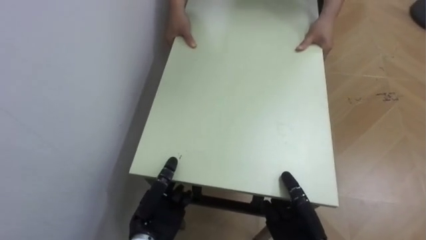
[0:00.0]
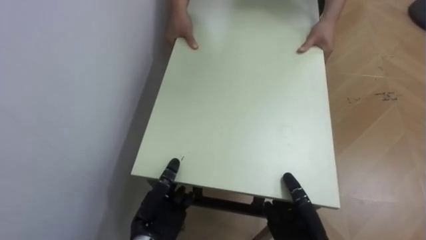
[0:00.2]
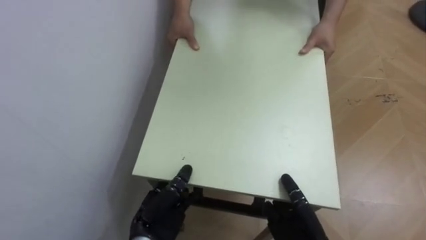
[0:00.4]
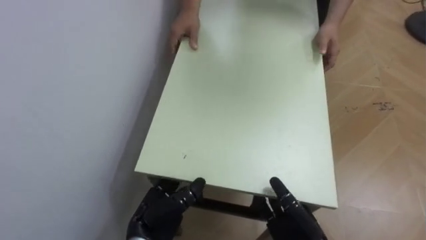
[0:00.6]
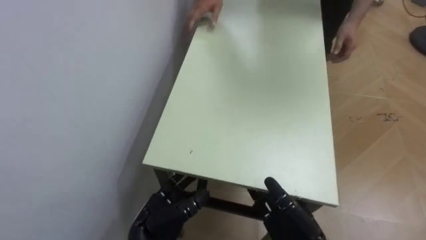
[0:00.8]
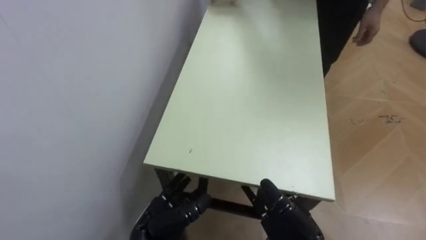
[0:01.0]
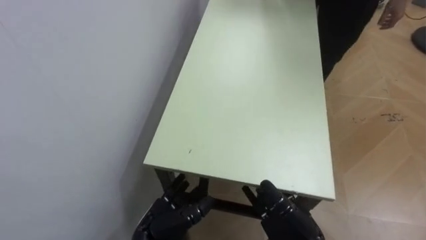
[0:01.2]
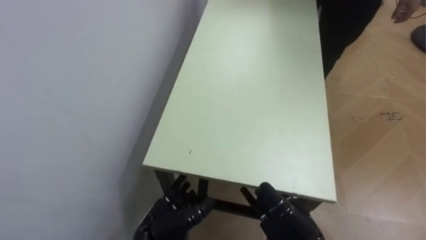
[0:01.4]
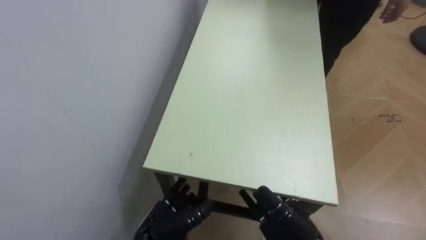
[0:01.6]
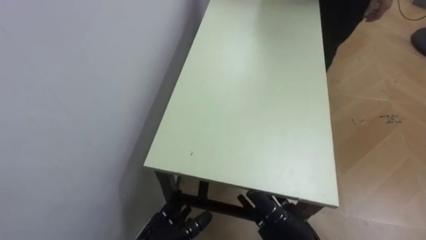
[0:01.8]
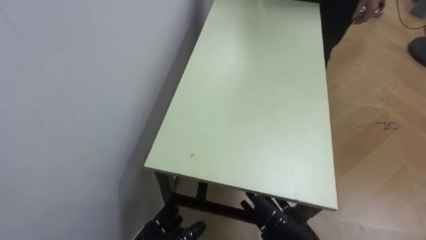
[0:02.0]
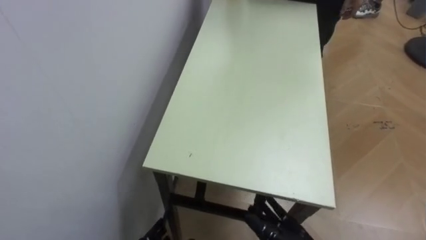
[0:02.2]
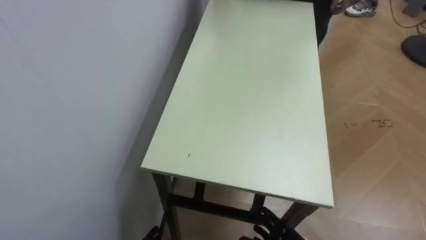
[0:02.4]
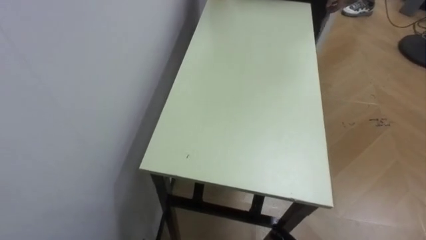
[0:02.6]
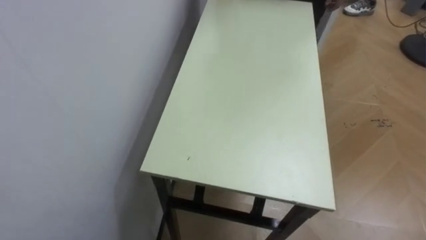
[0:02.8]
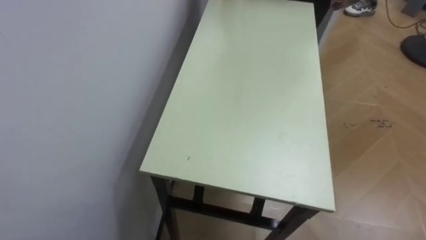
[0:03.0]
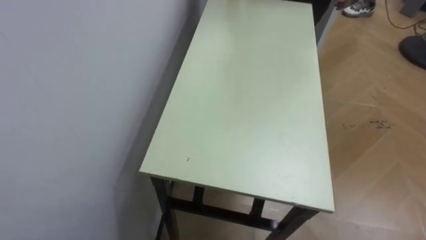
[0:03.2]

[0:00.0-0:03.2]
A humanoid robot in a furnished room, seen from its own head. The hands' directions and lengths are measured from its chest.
Task of the whole recording: Move the table to the back left with someone.
0:00.0 to 0:01.6: The left hand opens. Meanwhile the right hand opens up.

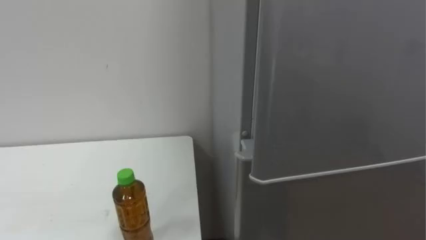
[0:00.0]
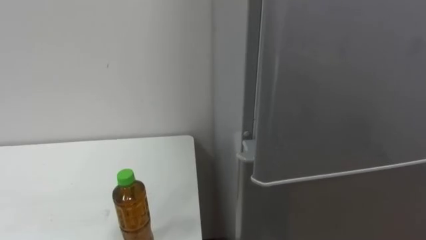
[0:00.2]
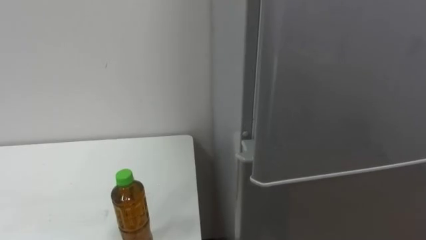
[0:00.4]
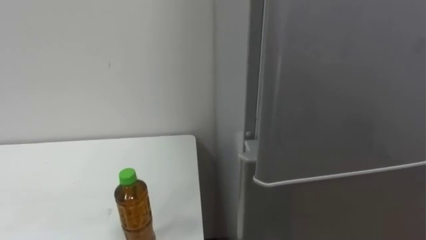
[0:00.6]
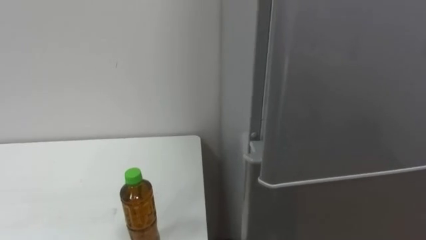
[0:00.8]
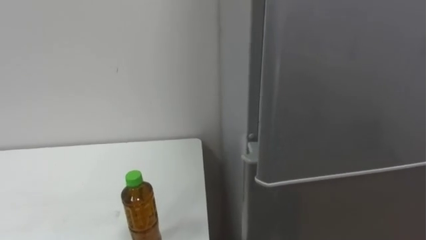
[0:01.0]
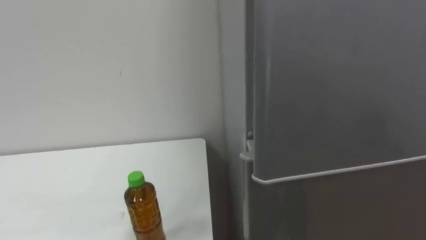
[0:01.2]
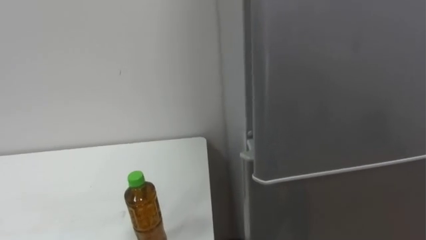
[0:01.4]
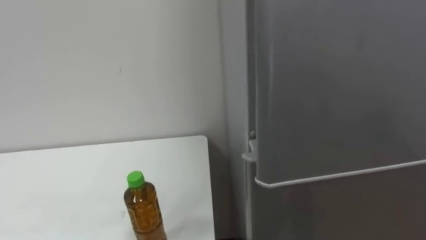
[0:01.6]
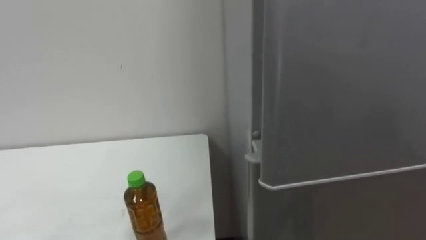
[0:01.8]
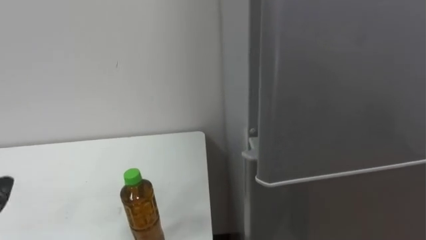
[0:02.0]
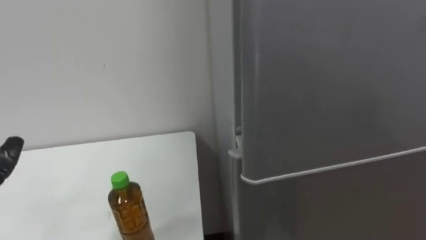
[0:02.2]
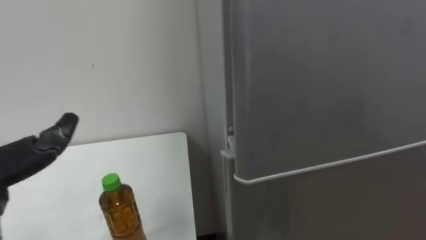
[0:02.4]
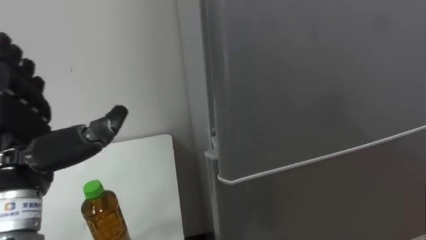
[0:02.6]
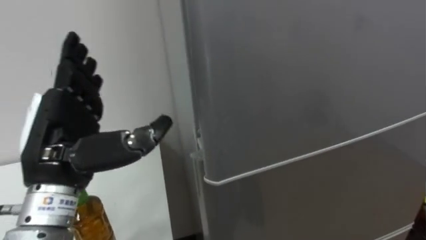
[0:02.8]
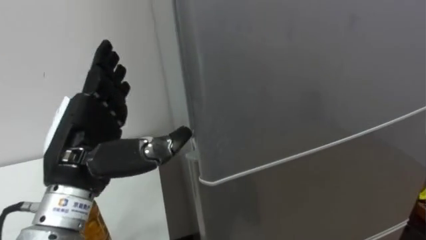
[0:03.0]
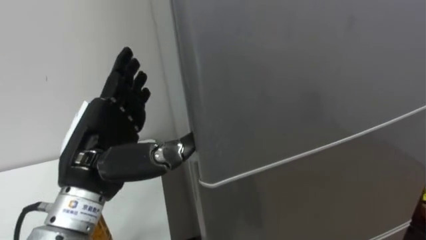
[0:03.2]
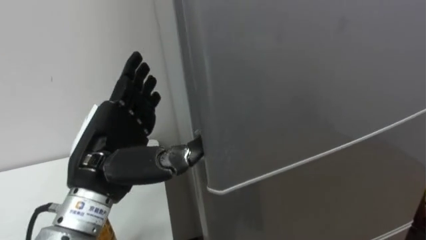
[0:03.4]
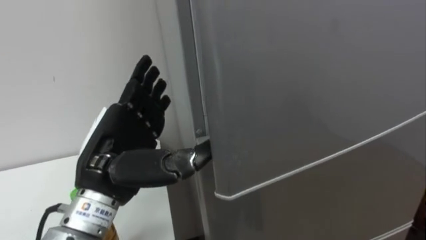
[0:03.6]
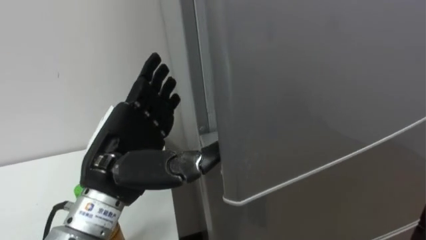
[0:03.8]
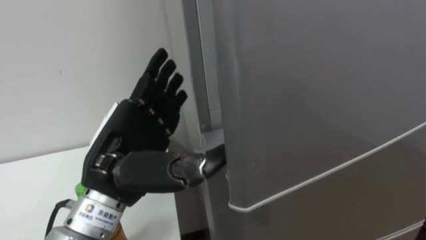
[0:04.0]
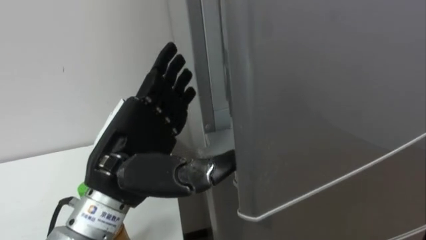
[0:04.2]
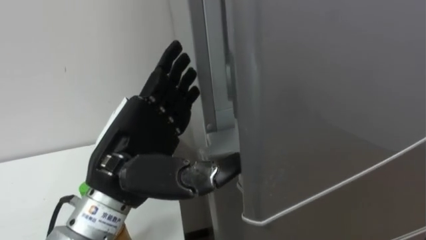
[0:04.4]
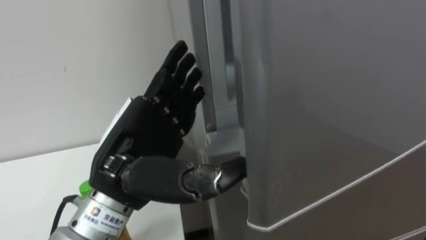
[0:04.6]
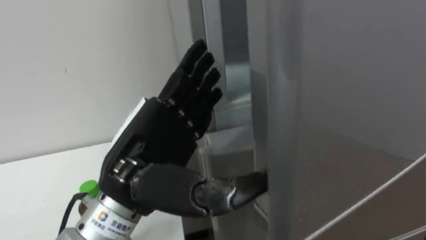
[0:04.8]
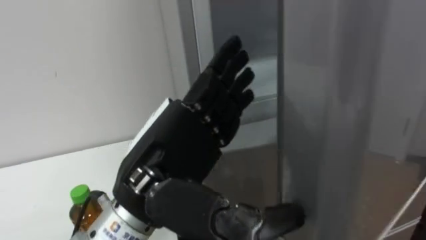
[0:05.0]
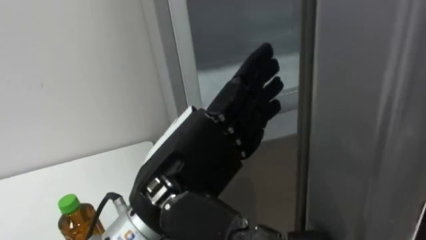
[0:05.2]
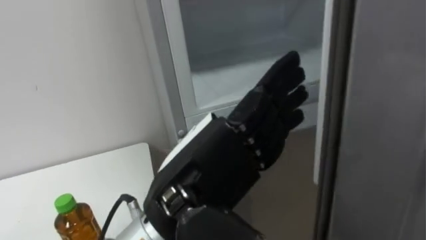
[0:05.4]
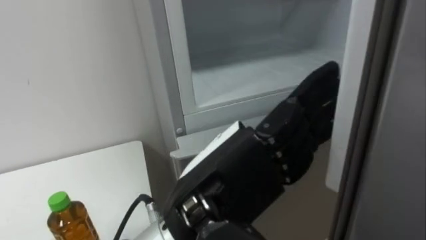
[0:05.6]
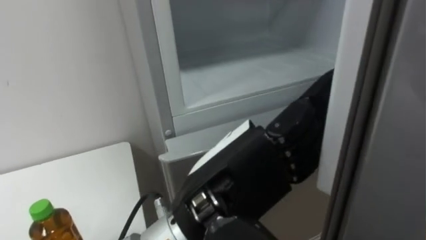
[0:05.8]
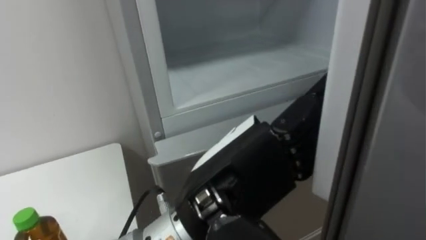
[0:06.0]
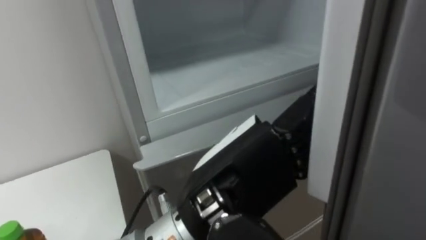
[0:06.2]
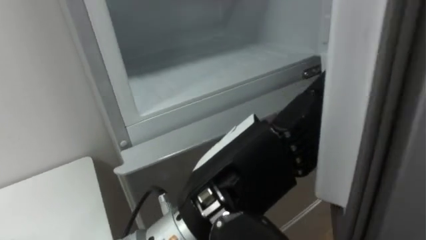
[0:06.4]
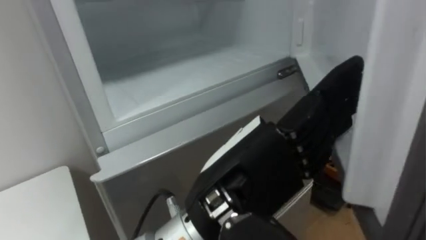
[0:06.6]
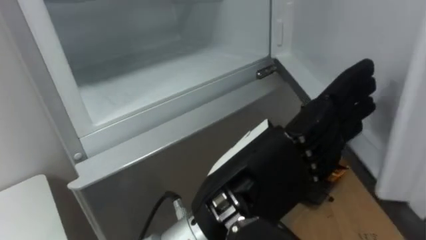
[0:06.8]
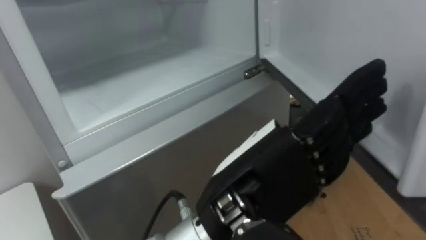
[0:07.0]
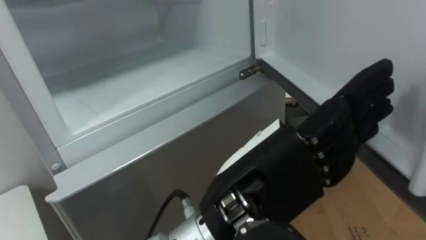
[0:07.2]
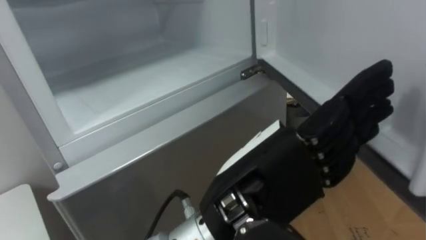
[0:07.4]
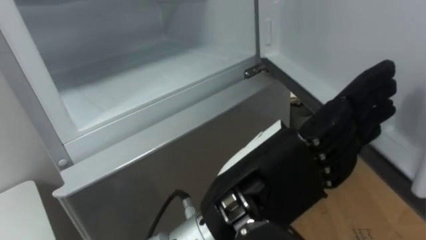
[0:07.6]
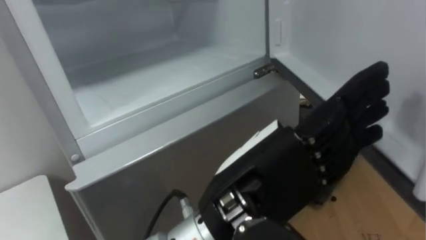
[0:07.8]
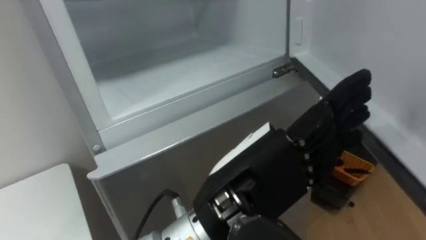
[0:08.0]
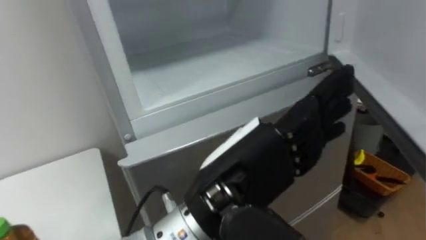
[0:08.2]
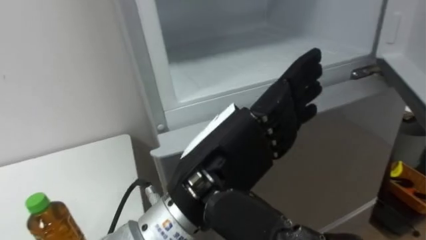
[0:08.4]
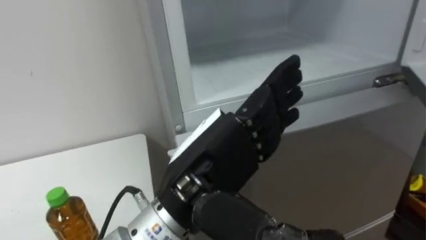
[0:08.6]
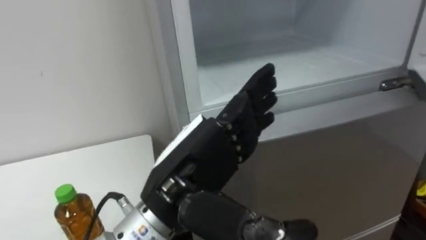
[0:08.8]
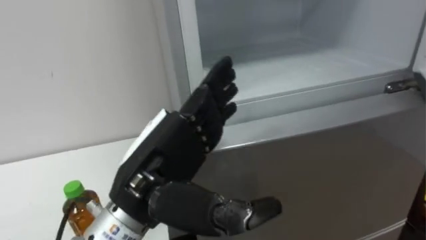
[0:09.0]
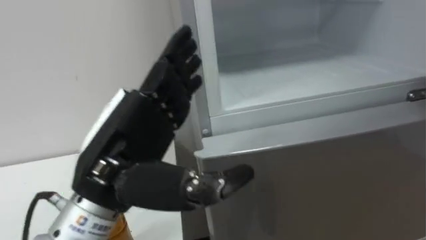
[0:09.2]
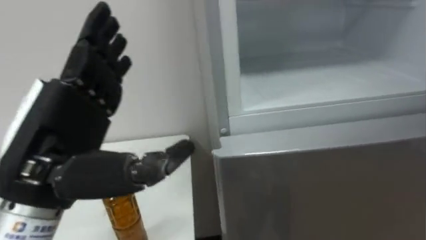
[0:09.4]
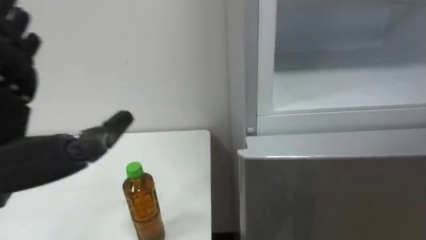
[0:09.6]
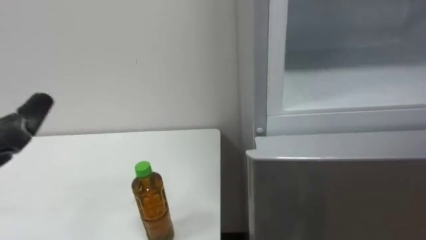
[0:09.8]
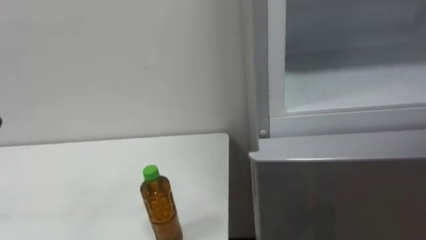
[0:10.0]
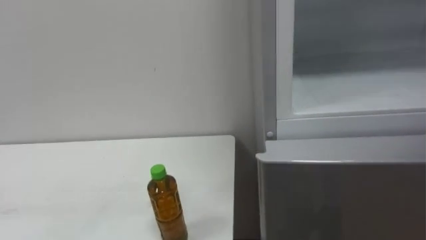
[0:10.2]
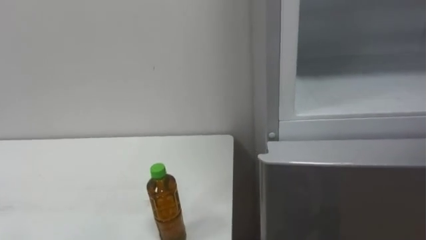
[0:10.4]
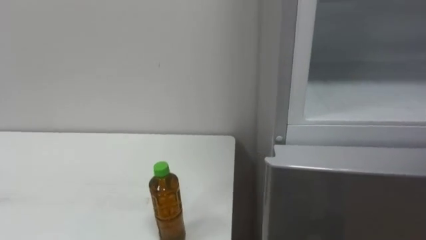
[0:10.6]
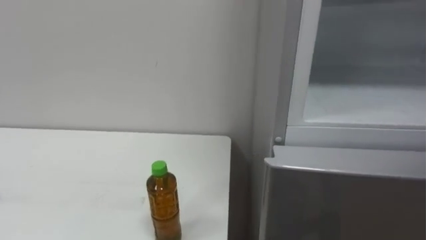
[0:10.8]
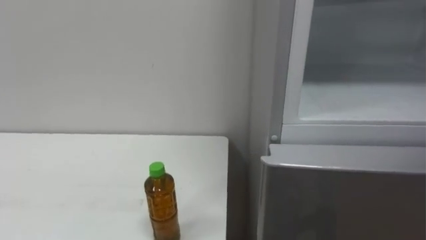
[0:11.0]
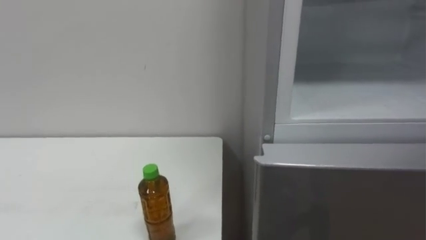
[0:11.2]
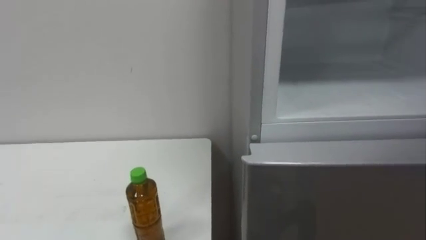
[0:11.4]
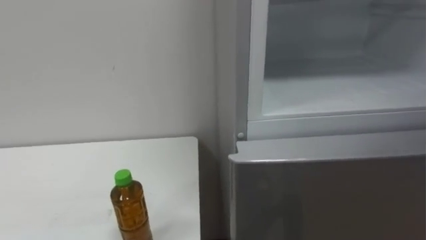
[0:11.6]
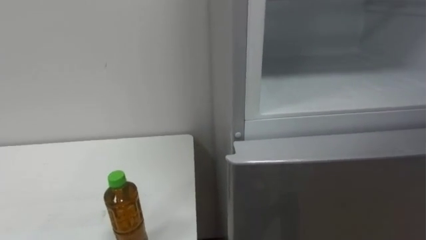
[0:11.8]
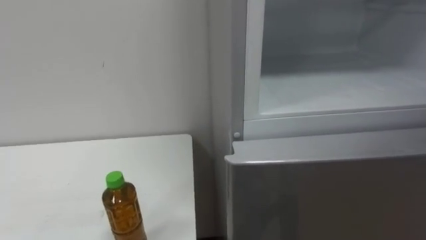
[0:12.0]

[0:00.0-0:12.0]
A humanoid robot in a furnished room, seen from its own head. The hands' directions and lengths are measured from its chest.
Task of the whole recording: Open the upper refrigerator door, put the drink from the table into the refrigerator, and then close the refrigerator door.
0:03.0 to 0:04.4: The left hand goes approximately 5 cm to the right.
0:04.4 to 0:06.0: The left hand moves to the right and backward, about 15 cm.
0:07.6 to 0:09.0: The left hand goes some 10 cm to the left.

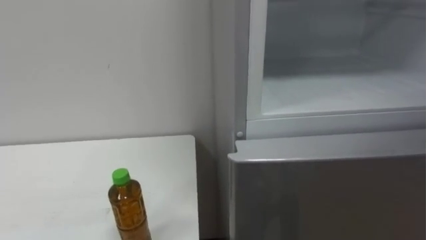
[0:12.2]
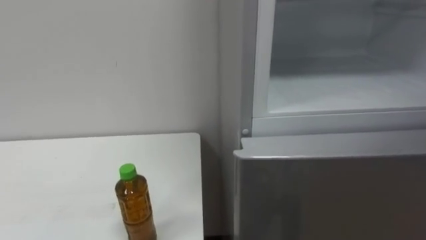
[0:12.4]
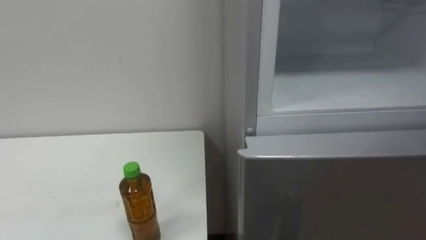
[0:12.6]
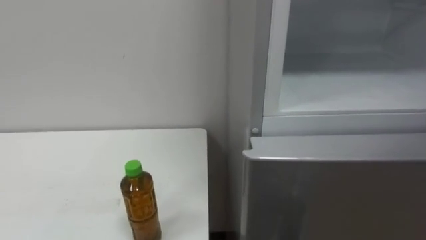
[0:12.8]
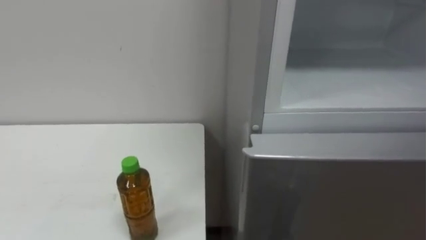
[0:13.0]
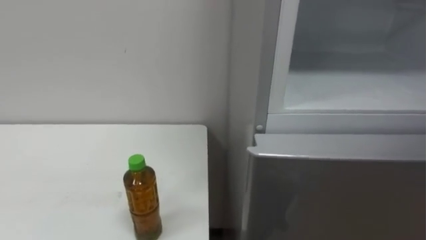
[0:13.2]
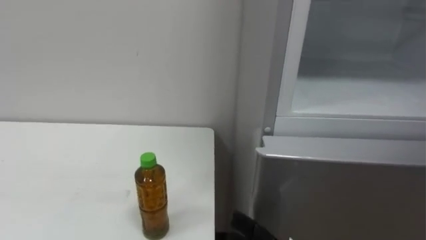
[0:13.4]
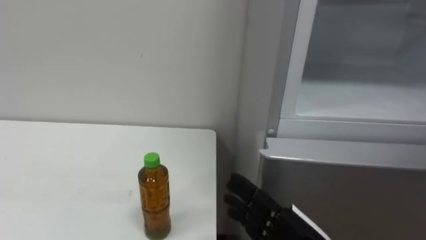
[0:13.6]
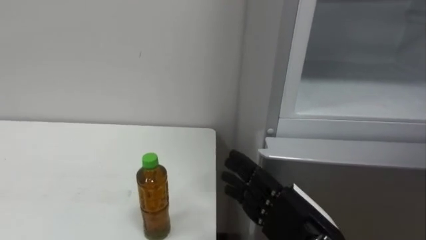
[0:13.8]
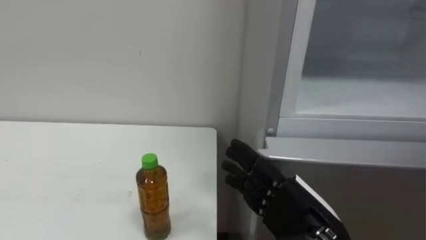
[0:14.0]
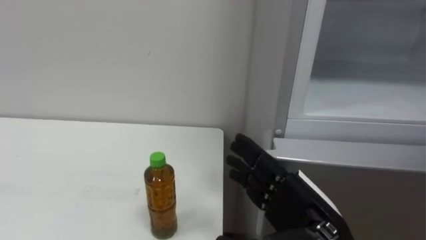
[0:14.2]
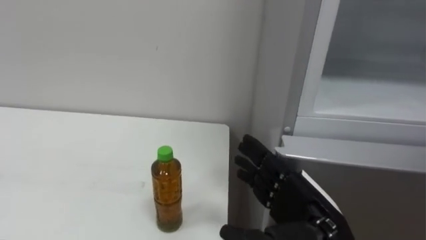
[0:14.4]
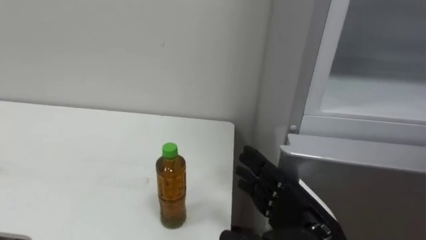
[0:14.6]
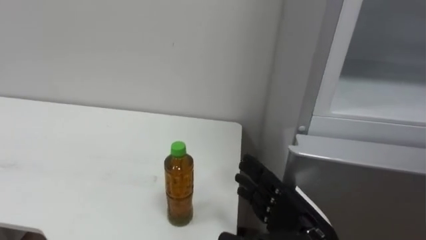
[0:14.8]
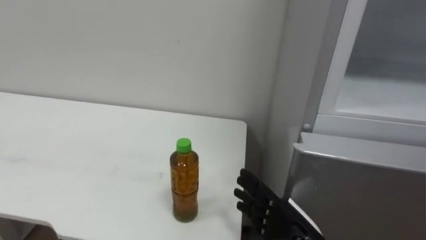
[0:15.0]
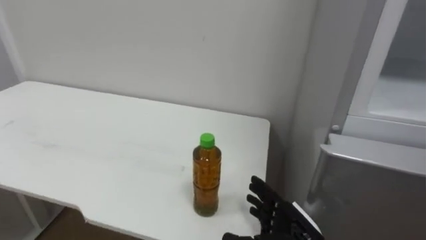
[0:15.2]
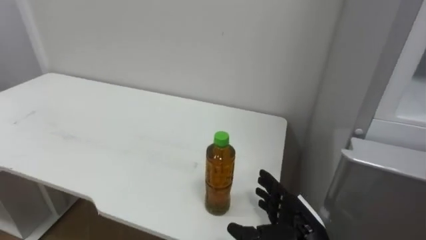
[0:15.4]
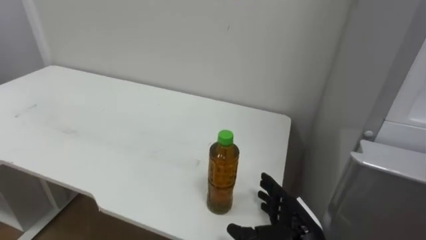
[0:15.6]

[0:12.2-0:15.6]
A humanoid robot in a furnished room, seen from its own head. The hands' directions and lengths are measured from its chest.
Task of the whole recording: Open the upper refrigerator door, put the drink from the table into the refrigerator, and then close the refrigerator door.
0:13.8 to 0:15.6: The right hand is displaced downward and forward by approximately 10 cm.
